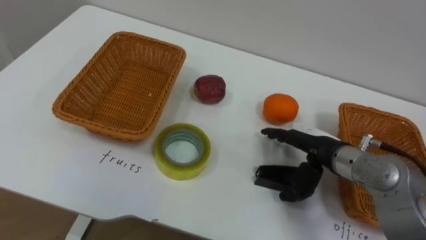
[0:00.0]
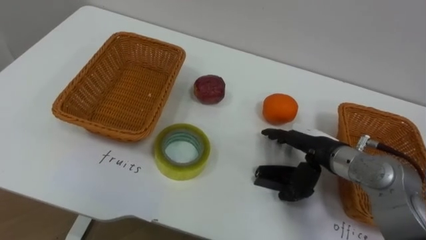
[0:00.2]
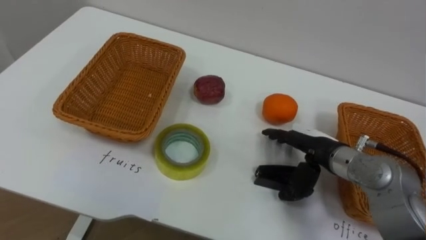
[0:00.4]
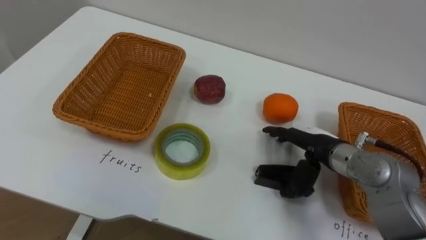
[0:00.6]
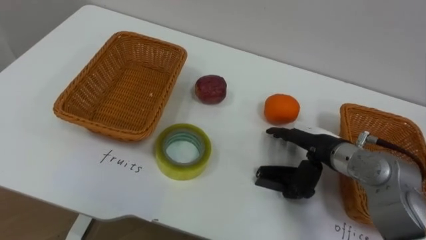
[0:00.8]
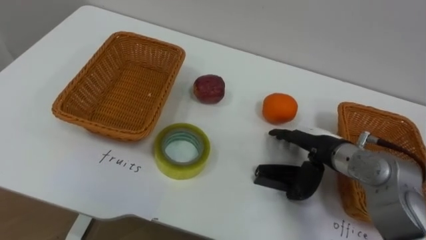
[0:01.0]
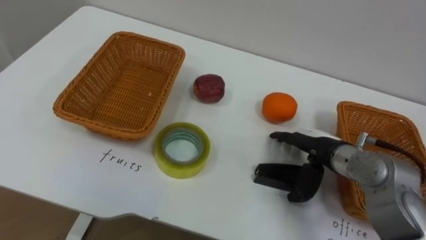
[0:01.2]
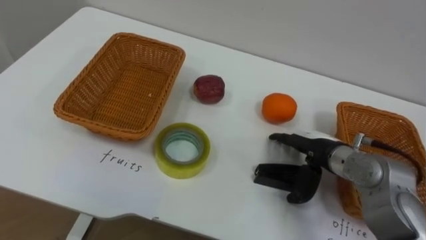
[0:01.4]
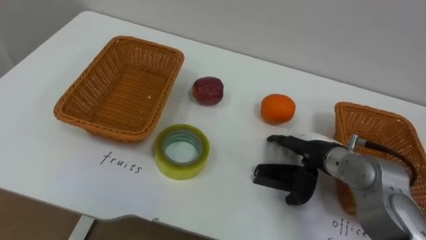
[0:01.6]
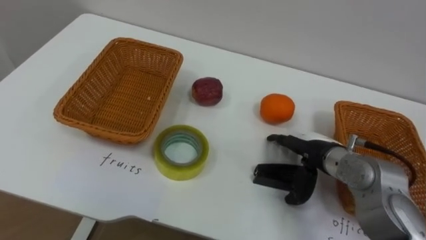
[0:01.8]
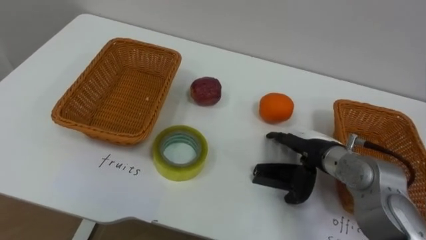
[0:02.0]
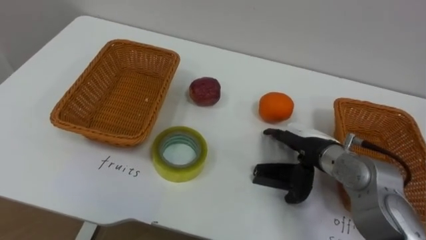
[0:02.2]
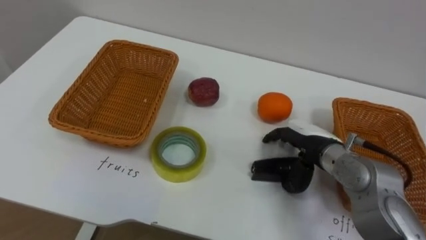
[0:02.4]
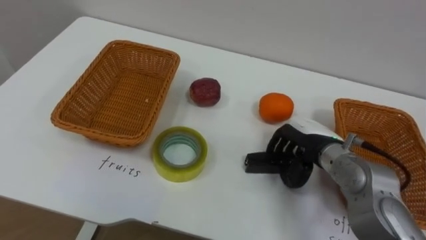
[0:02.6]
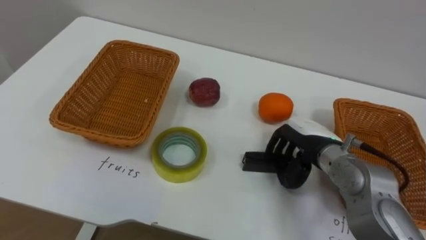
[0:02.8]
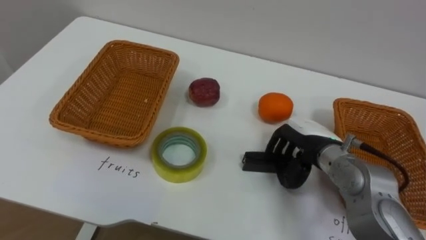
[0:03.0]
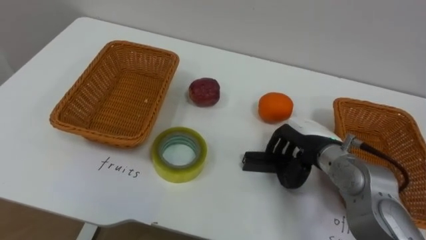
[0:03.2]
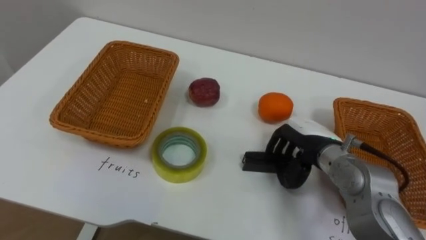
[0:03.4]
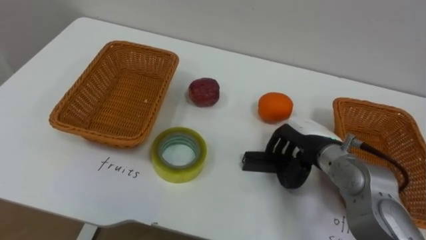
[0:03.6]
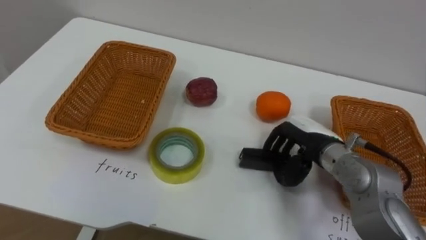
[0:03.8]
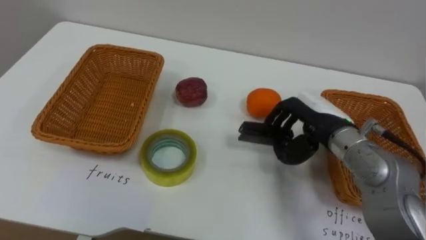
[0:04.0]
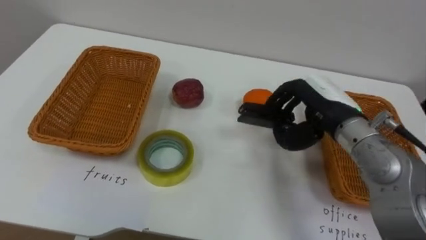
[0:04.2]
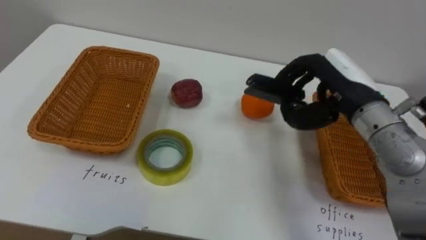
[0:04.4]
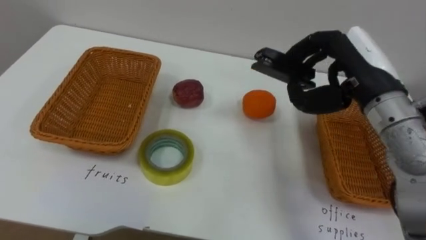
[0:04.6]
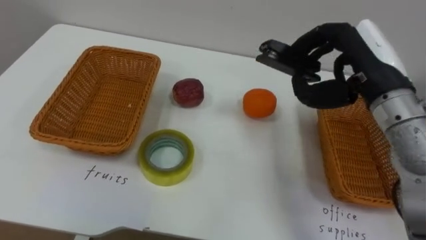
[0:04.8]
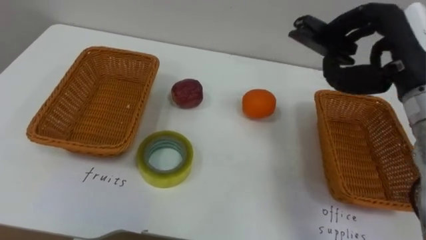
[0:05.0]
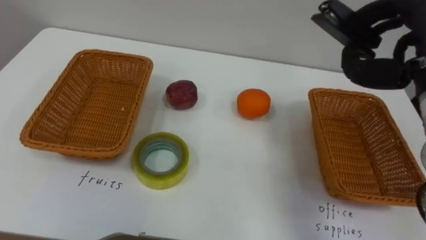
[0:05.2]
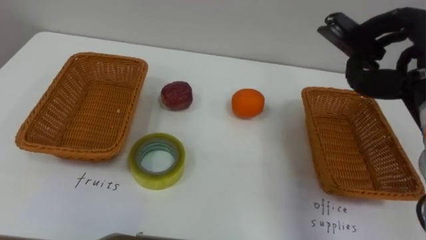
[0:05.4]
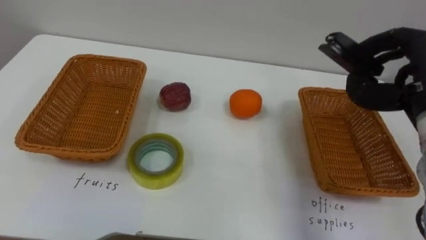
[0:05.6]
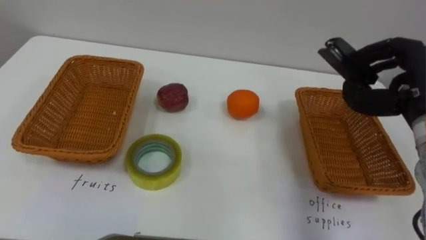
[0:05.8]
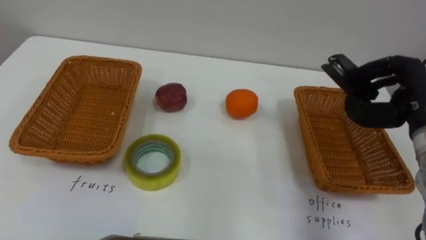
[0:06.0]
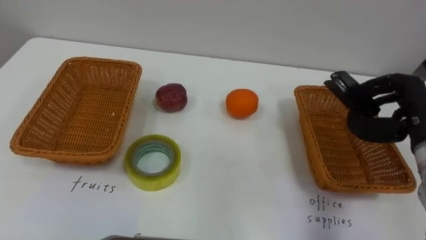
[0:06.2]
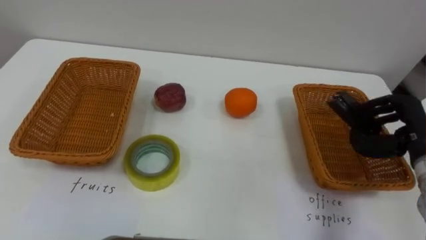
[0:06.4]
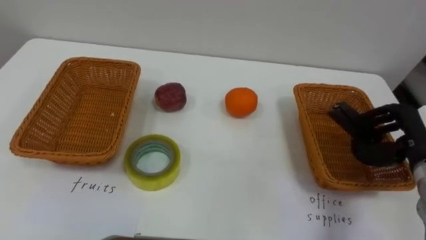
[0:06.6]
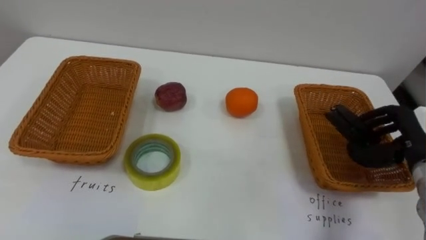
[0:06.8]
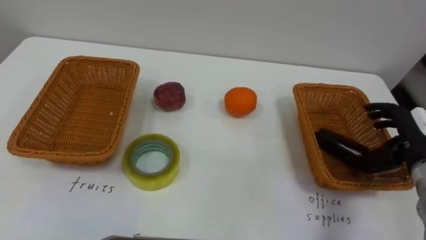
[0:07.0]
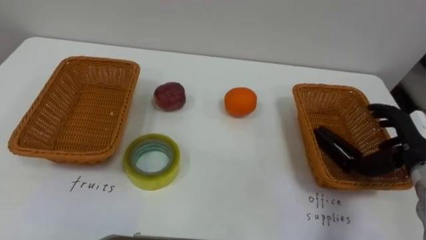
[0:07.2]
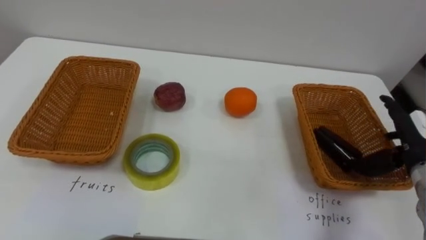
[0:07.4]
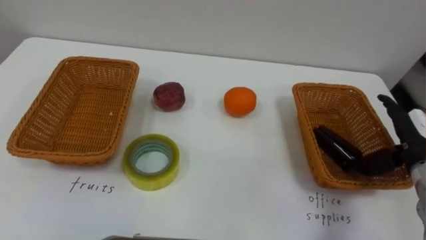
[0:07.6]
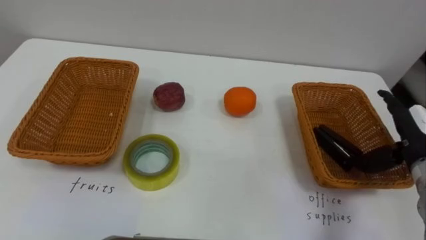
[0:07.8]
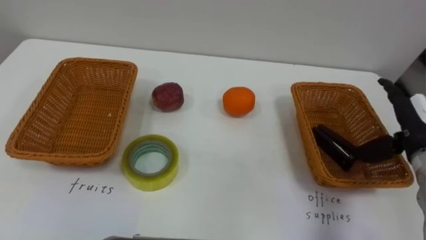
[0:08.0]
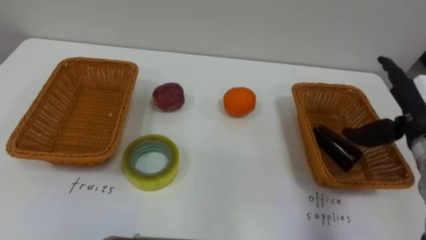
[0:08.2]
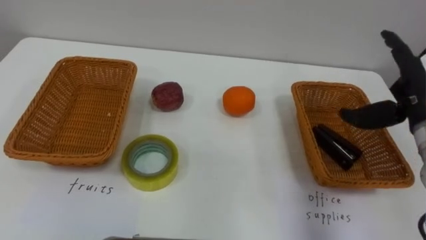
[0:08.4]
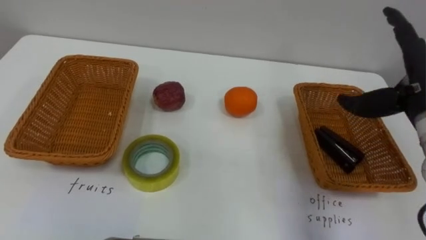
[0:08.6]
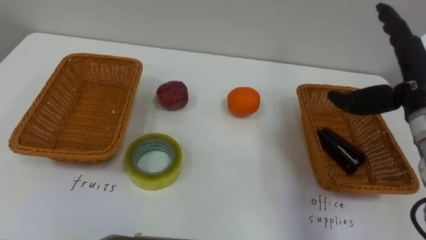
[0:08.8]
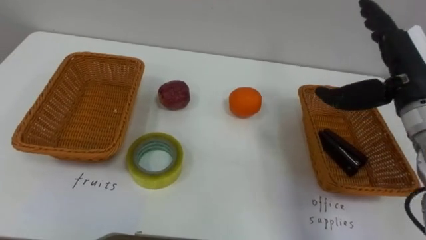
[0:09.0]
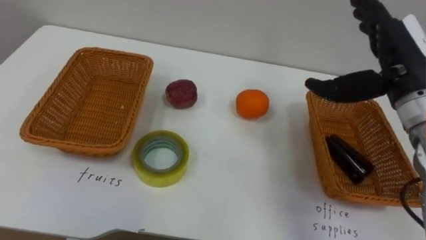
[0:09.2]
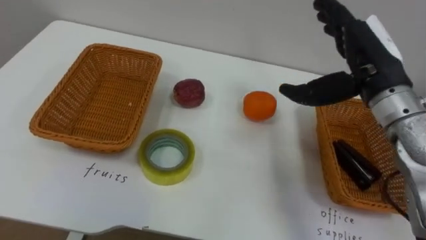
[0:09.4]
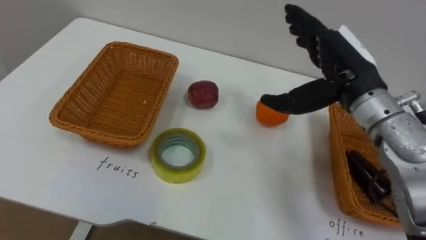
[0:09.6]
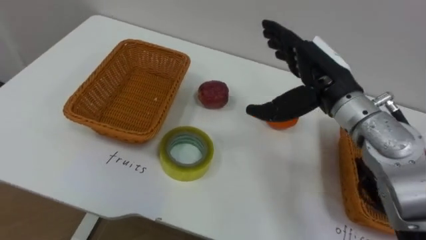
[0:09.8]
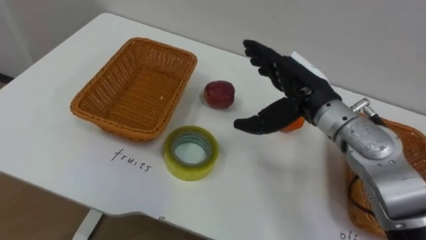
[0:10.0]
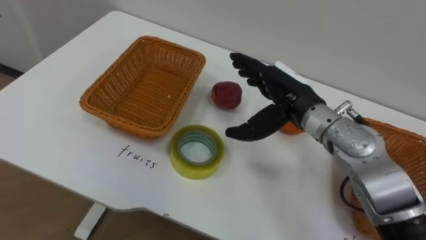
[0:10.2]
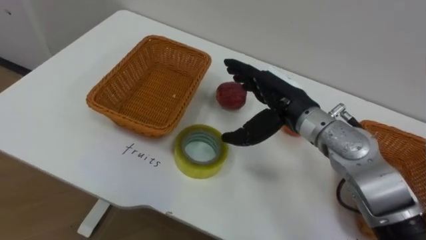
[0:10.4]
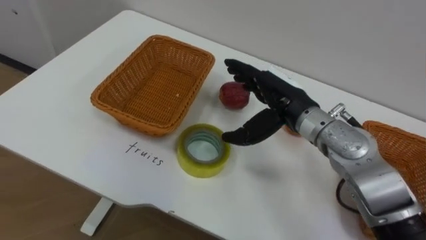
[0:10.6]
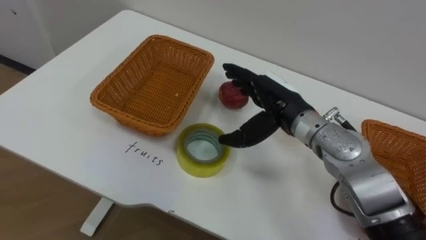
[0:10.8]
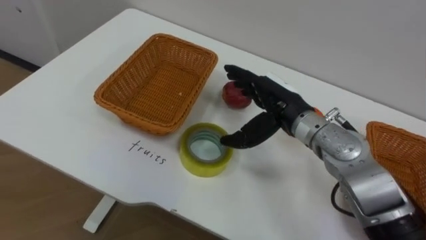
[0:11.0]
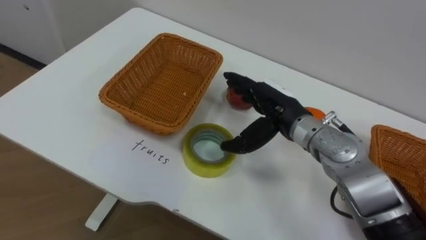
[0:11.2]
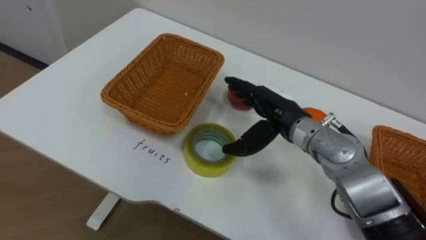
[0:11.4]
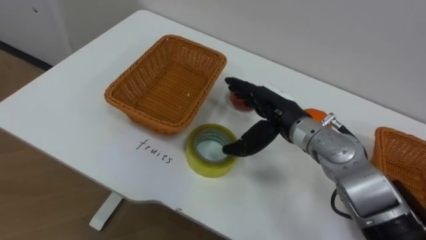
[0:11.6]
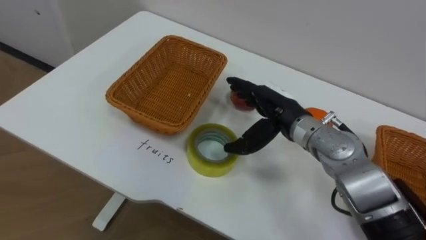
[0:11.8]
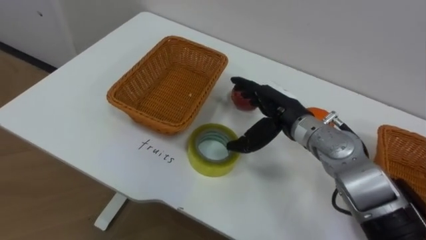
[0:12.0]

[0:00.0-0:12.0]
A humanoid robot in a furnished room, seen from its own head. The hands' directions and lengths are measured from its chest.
Task of the whole recording: Separate the items on the table and place them into the two baskets.
0:01.6 to 0:03.0: The right hand closes up.
0:03.0 to 0:04.4: The right hand goes about 10 cm upward.
0:06.0 to 0:07.6: The right hand travels downward by roughly 10 cm, and opens up.
0:07.6 to 0:09.0: The right hand travels upward and to the left by about 15 cm.
0:09.0 to 0:10.4: The right hand is displaced to the left by some 15 cm.

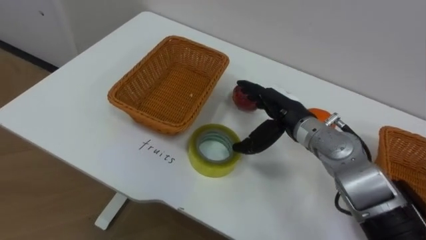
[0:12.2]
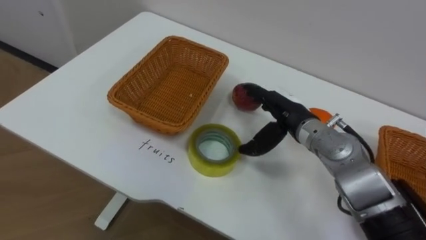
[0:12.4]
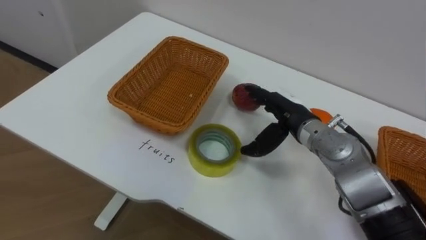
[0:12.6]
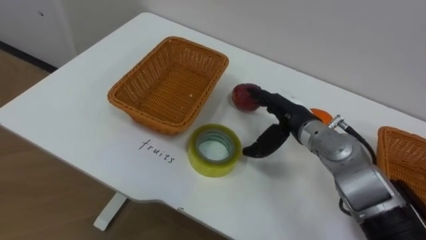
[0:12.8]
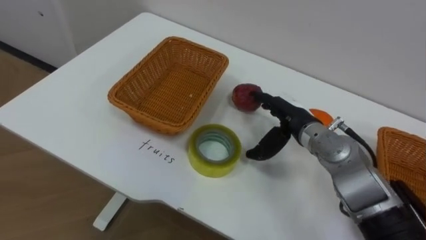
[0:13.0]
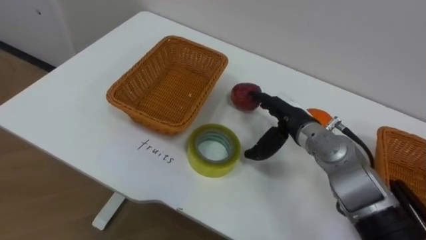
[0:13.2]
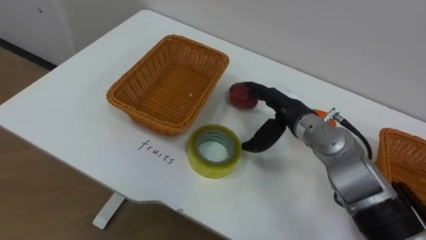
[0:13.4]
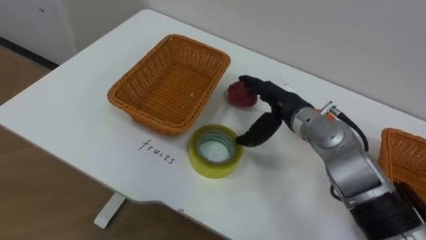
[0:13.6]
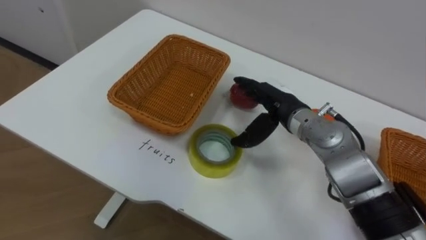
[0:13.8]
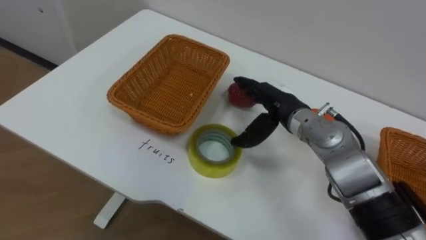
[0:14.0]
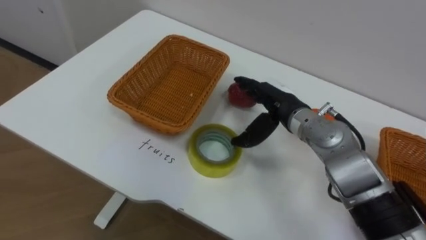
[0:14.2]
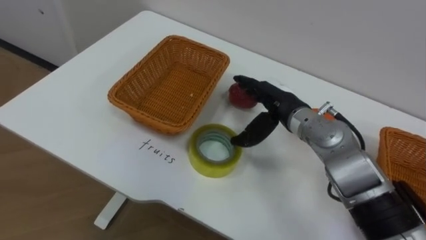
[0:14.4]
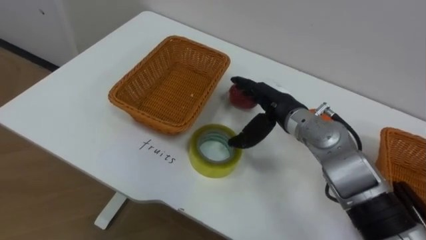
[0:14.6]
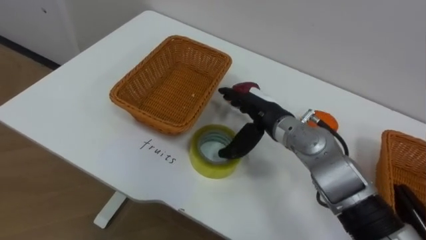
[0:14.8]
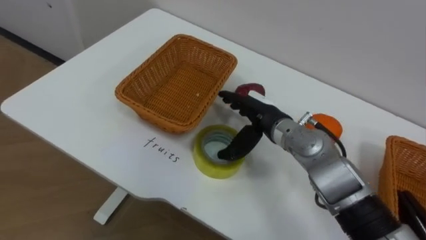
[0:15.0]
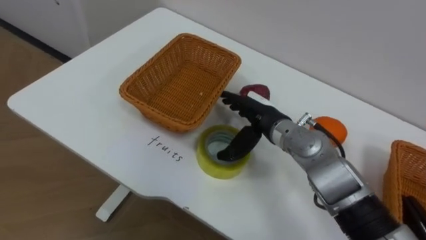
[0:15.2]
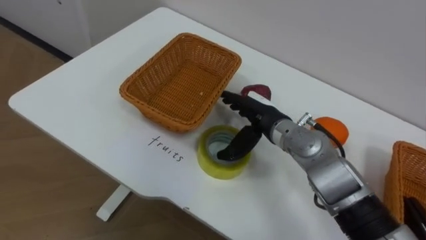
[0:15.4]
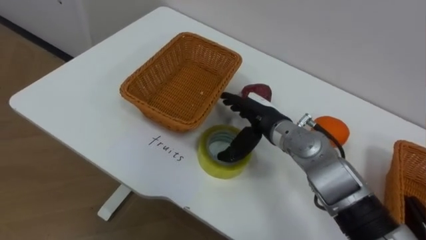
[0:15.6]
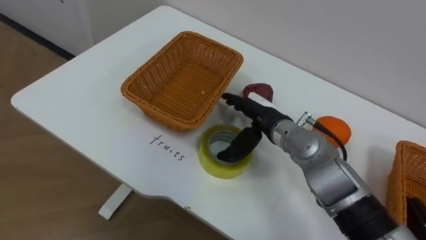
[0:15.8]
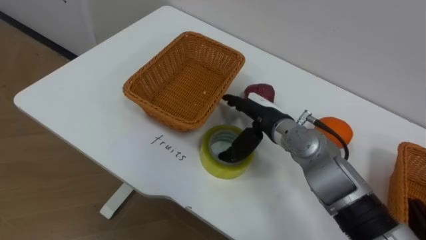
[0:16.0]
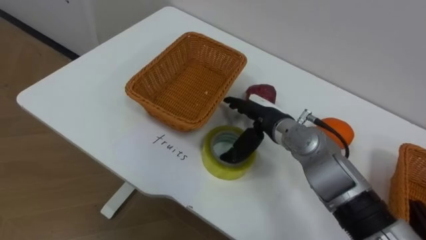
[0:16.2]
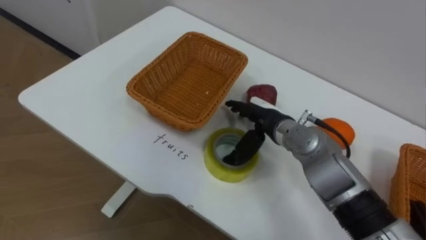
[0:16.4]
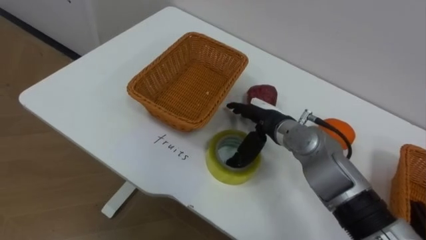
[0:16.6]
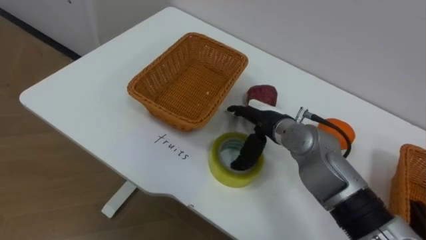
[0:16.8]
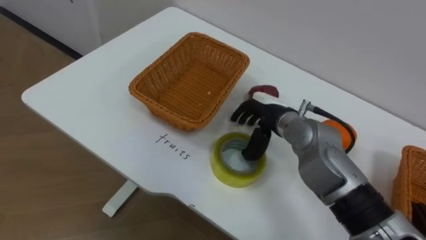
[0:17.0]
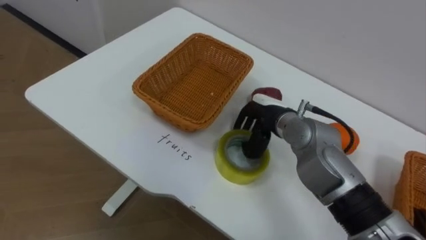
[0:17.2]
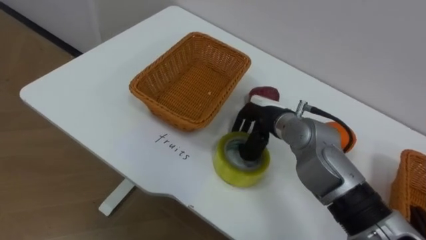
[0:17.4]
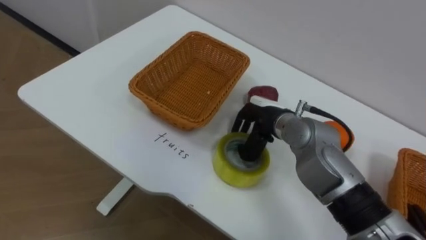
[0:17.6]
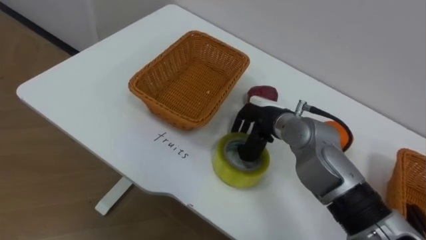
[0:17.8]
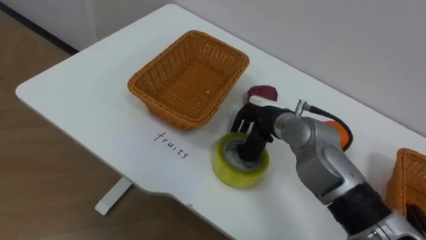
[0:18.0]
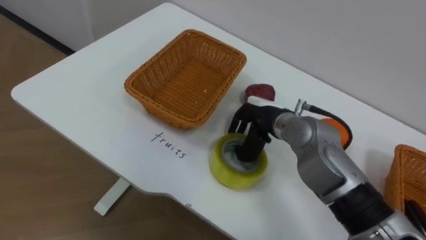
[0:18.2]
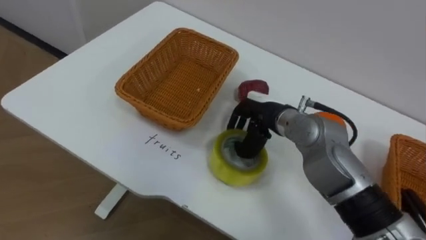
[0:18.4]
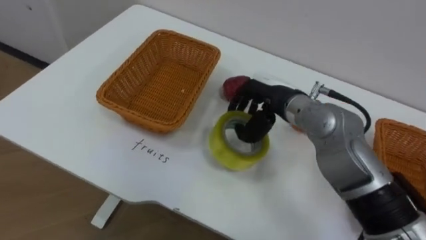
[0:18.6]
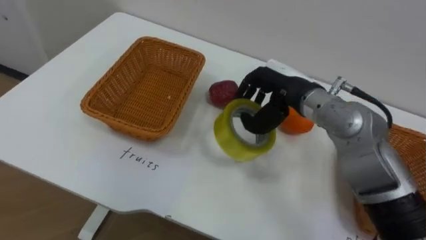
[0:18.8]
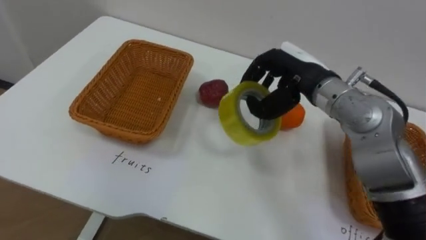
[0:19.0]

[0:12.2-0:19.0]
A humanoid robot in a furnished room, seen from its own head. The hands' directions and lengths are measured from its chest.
Task of the whole recording: Separate the items on the table and place them into the two baskets.
0:16.2 to 0:17.6: The right hand closes.
0:17.6 to 0:19.0: The right hand moves upward, roughly 10 cm.
